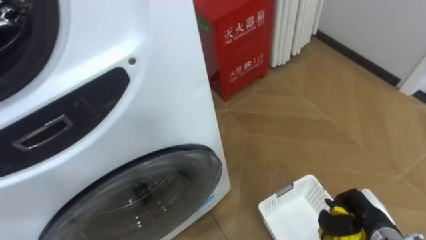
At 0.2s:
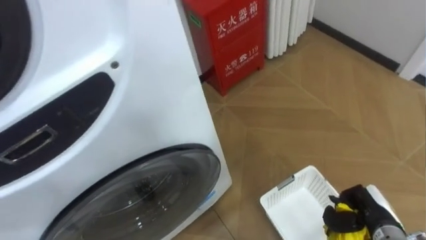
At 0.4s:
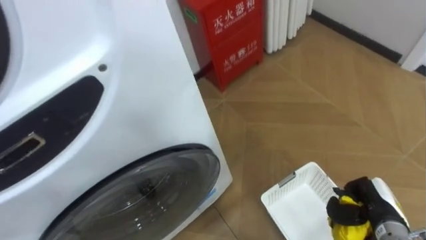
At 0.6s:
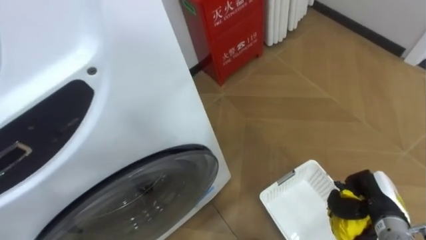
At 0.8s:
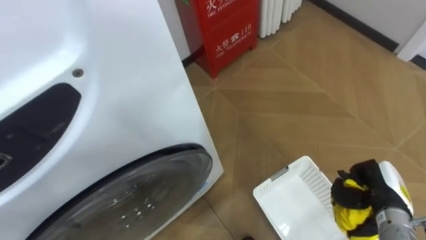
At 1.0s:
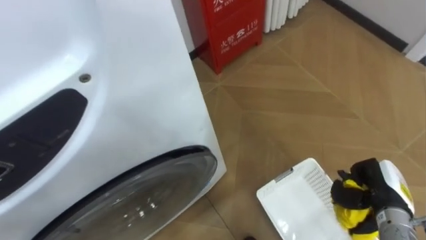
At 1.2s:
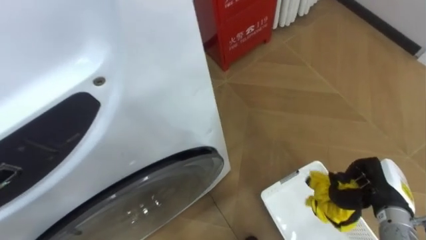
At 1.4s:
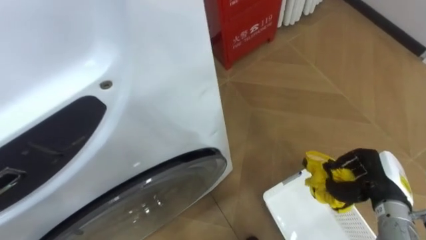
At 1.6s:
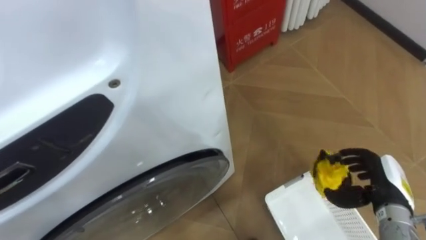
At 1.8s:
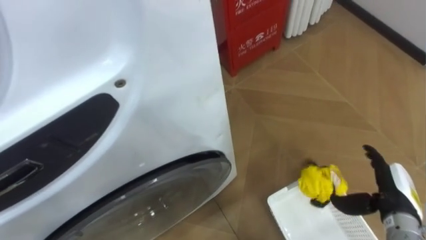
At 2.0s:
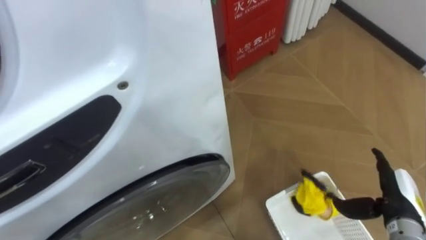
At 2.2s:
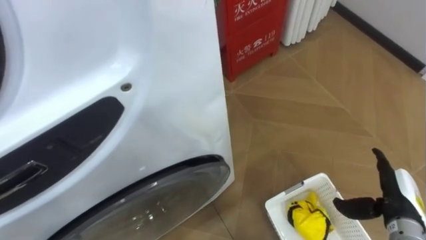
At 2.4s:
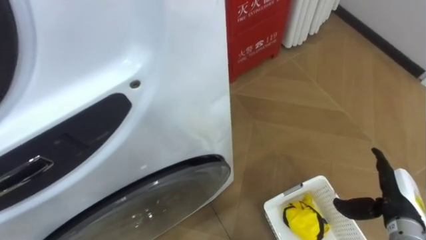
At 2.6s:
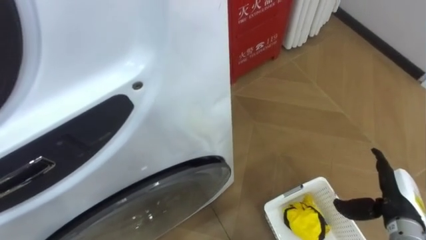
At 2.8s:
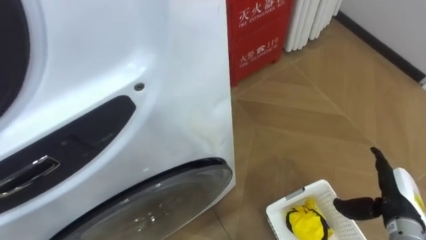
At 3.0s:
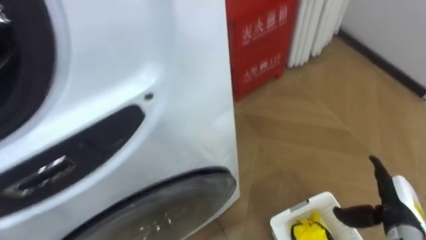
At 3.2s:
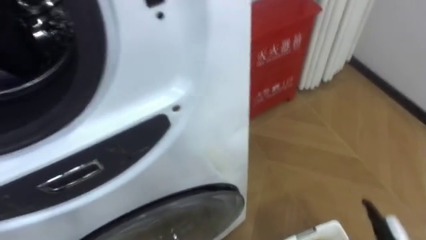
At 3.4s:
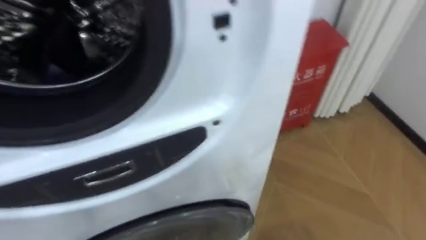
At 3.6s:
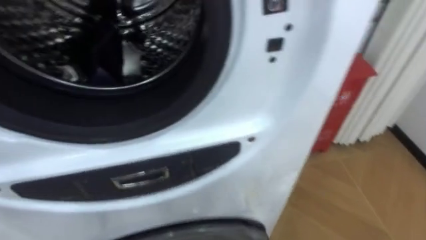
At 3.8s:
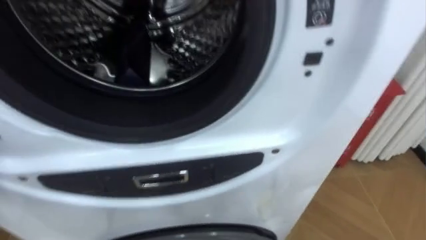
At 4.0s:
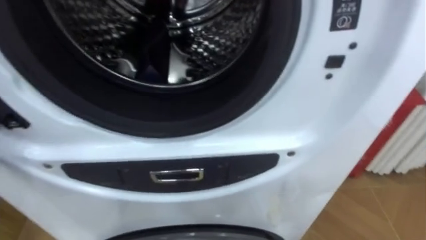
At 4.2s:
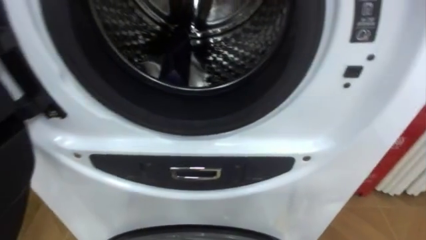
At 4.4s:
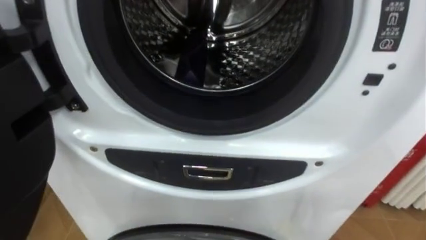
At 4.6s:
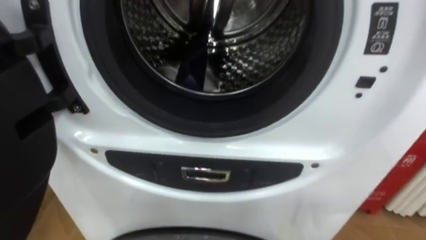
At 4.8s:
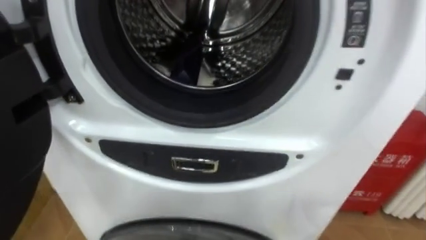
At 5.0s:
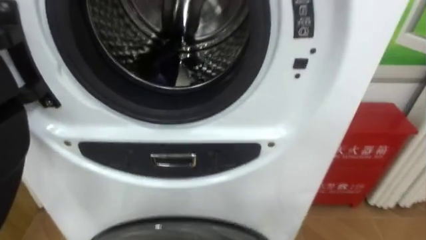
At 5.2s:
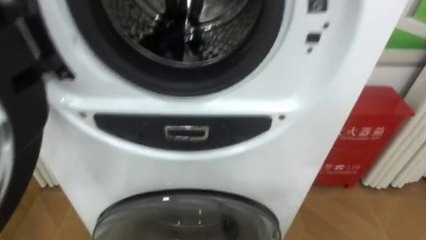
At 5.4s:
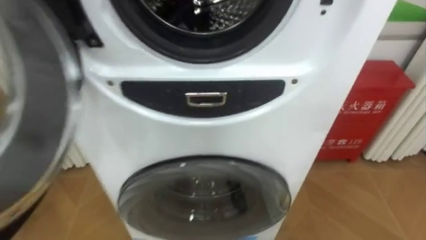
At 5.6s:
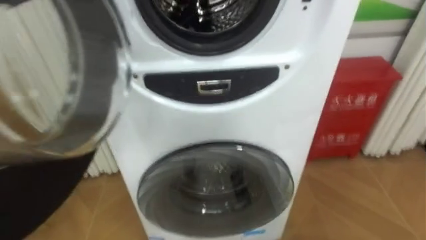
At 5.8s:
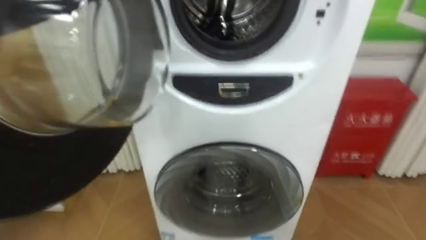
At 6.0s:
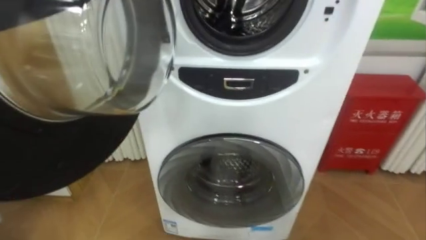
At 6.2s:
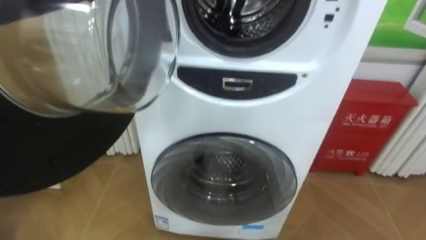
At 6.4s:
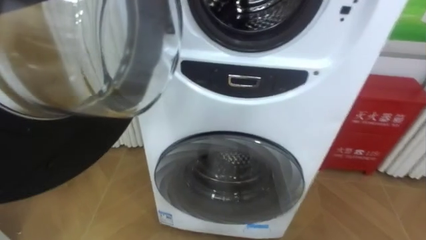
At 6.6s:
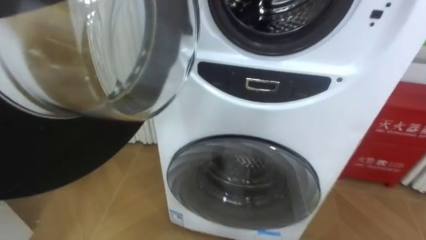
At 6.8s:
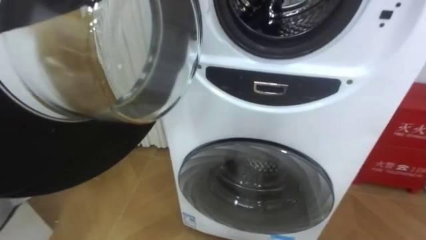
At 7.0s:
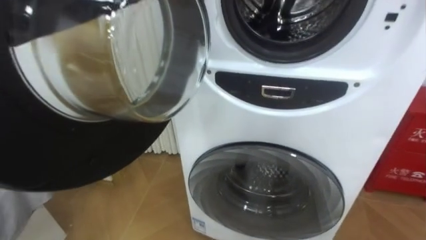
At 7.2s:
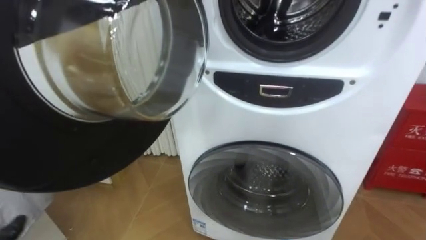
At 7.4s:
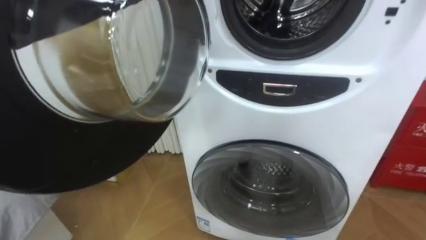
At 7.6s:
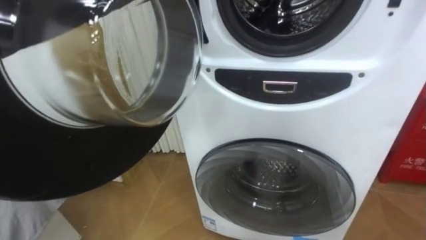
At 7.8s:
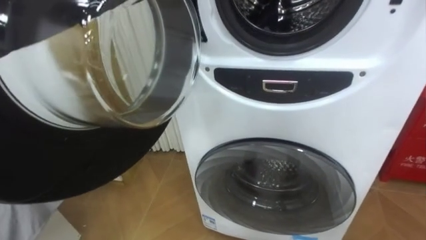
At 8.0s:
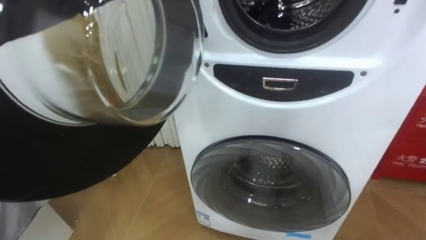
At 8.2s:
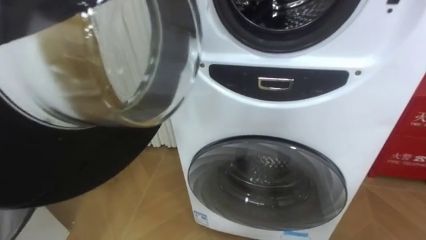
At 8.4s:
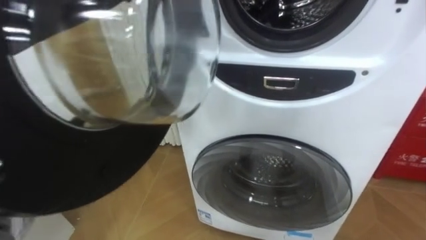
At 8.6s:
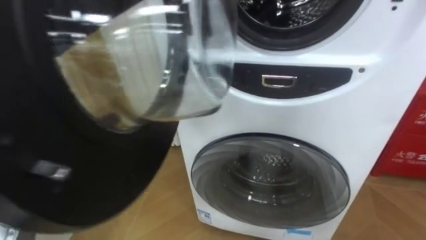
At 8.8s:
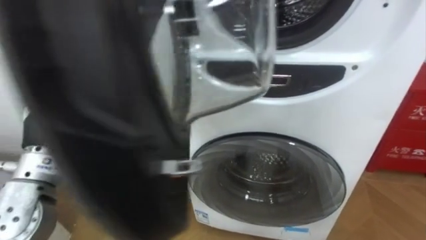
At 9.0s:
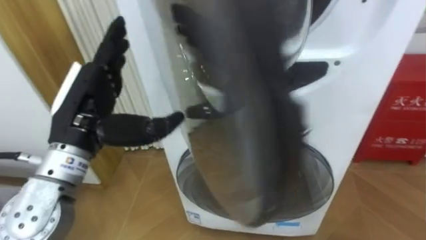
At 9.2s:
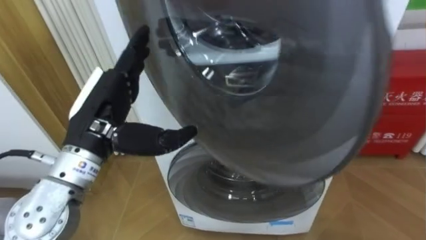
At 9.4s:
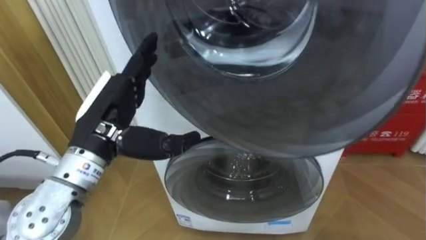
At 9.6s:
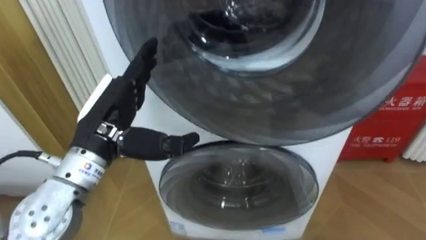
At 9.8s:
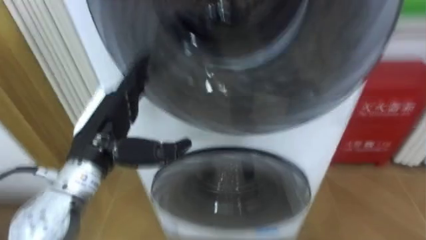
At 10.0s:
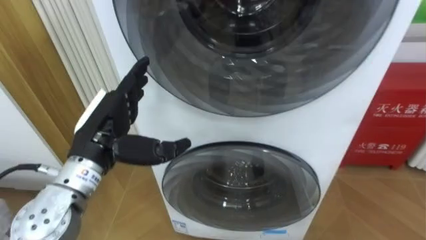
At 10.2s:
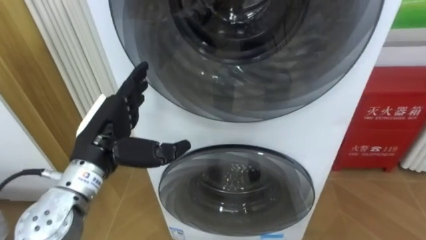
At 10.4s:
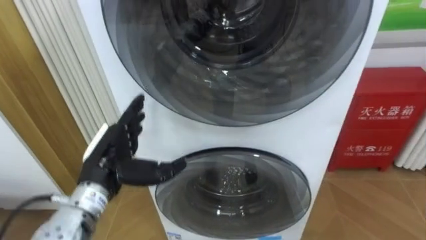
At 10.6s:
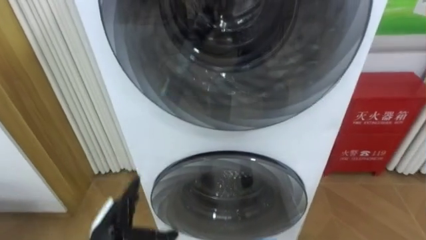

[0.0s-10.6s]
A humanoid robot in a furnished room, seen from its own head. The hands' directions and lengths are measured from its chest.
Task of the whole recording: Open the washing machine door, take out the yellow clothes, place them in the box on the right, and close the washing machine door.
0.0s to 1.6s: The right hand is displaced upward by some 5 cm, and opens up.
3.0s to 4.6s: The robot faces roughly 20 degrees further to its left.
9.0s to 10.6s: The left hand goes some 25 cm downward.

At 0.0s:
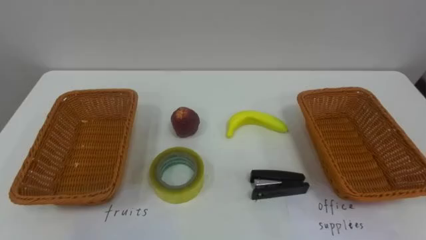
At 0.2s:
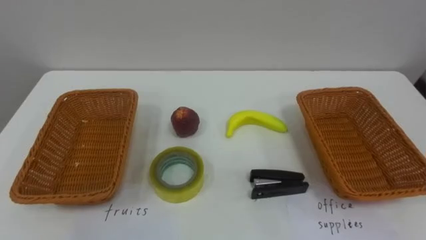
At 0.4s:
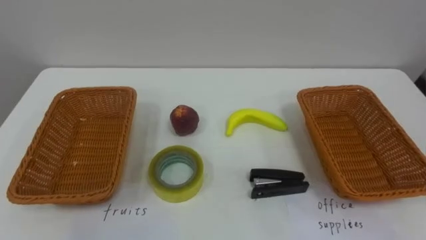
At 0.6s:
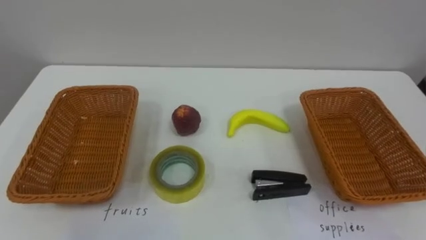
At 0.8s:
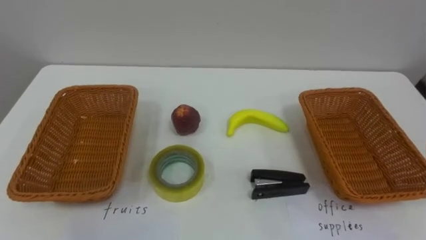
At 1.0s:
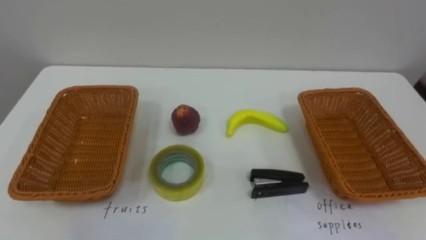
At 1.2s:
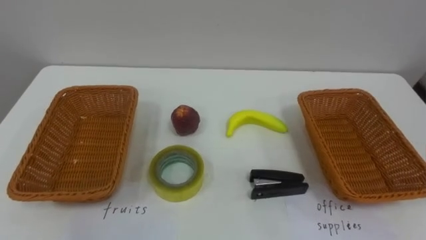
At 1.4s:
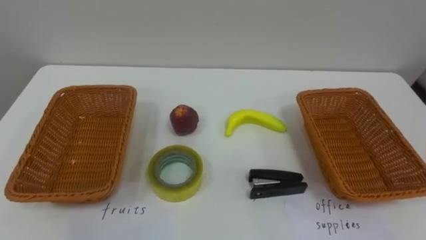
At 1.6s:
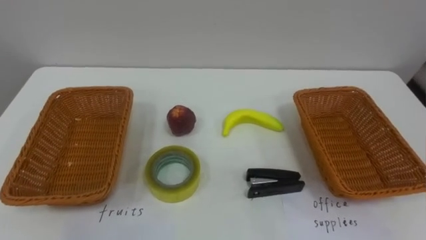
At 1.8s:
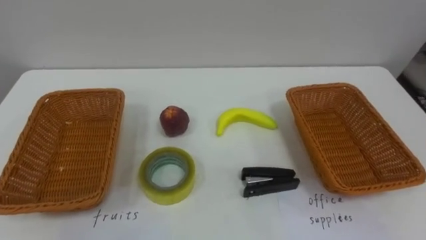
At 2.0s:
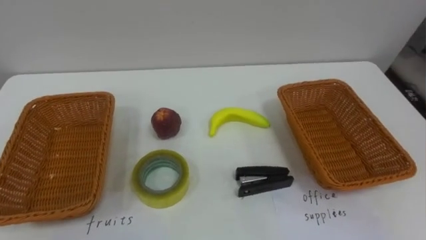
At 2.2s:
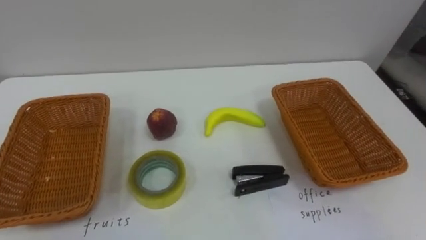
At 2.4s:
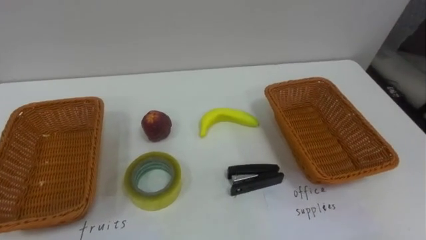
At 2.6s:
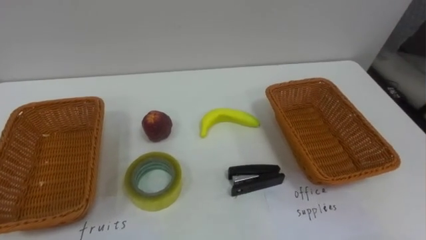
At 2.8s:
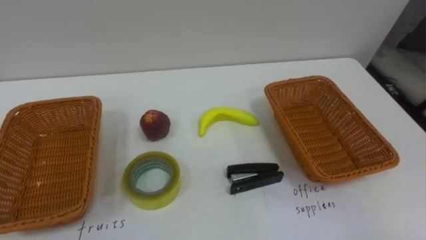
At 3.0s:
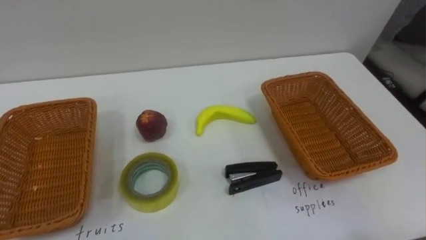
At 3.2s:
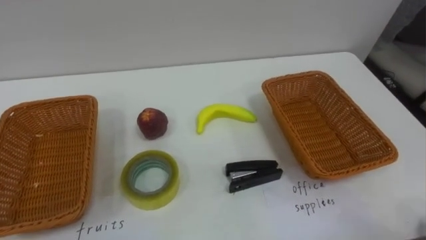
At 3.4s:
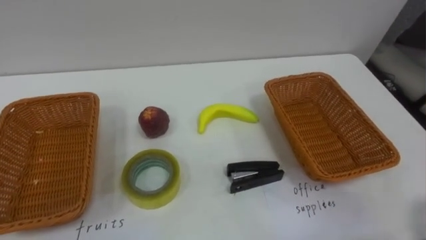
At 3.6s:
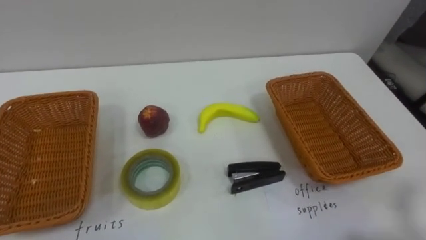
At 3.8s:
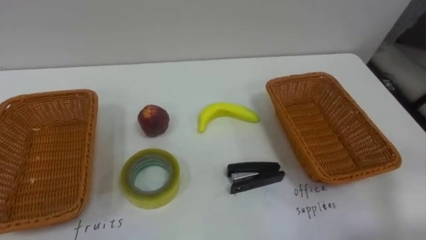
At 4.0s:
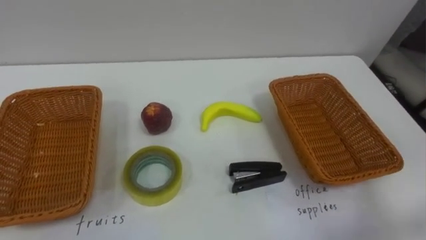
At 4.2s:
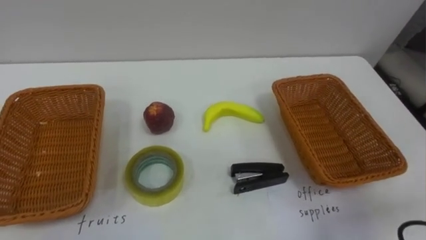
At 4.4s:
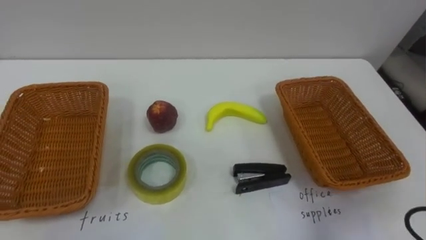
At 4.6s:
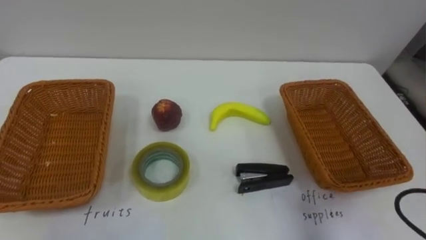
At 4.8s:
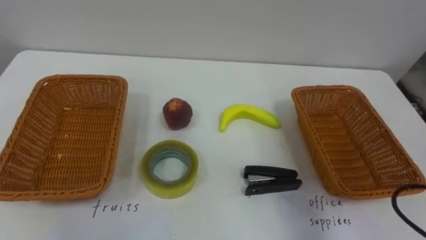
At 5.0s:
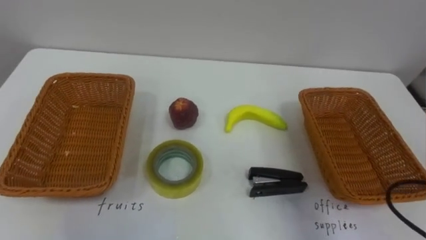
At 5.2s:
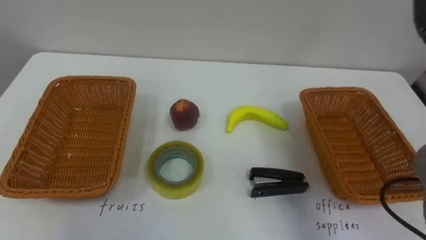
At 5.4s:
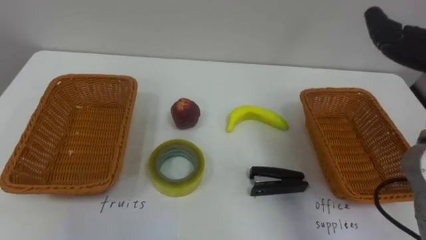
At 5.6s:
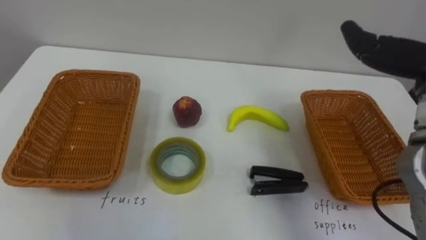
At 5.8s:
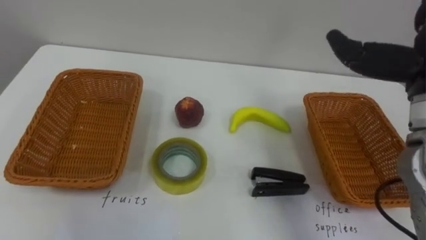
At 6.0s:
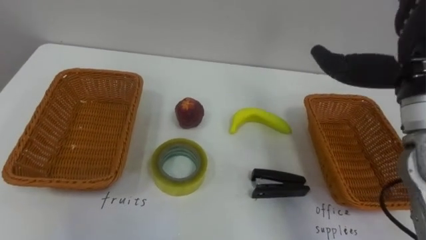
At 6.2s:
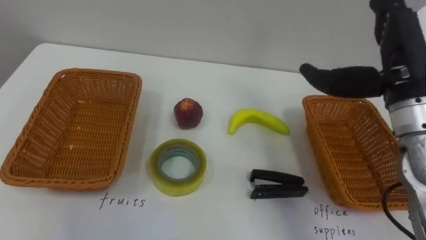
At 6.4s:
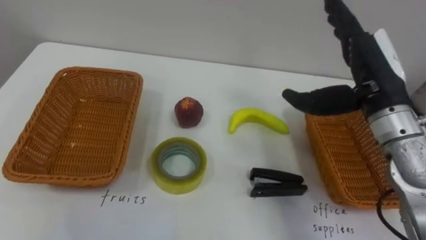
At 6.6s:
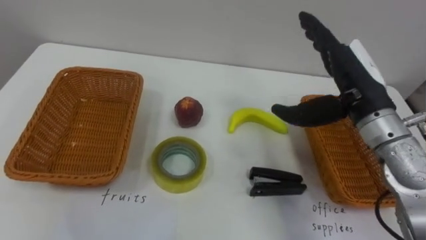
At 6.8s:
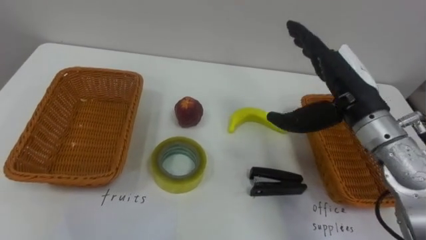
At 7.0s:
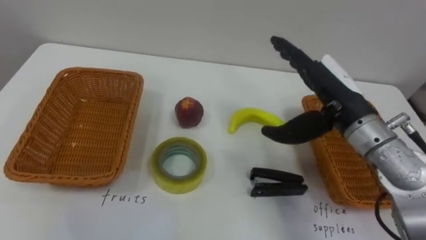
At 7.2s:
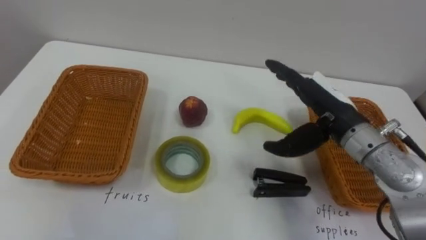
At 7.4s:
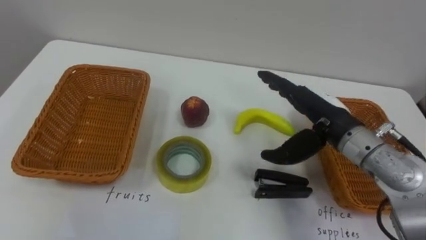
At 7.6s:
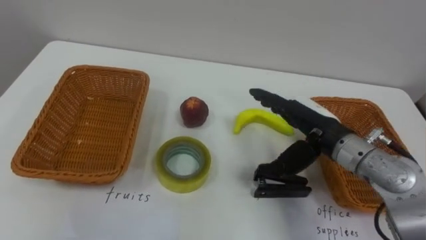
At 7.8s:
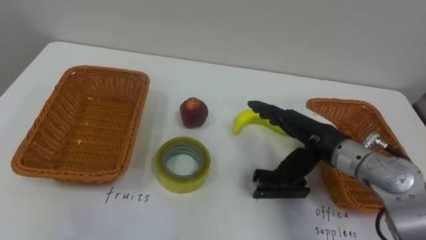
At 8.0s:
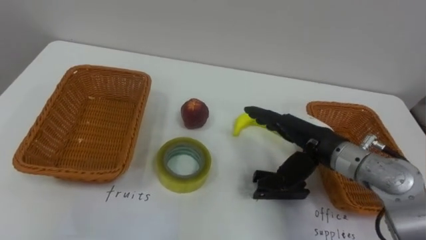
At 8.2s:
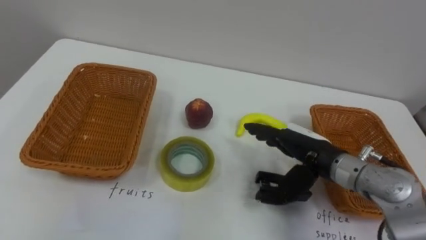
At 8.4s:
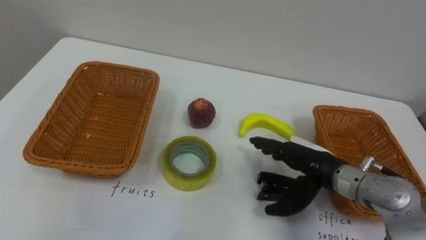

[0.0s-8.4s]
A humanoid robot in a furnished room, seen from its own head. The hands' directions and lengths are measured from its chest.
Task of the whole recording: Separate the items on the table and place them into the two baskets.
7.0s to 8.4s: The right hand heads downward, covering some 15 cm.
